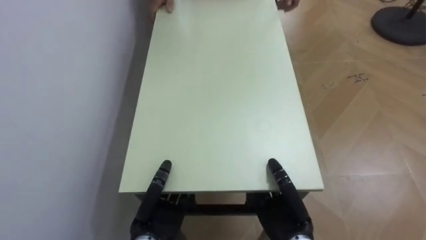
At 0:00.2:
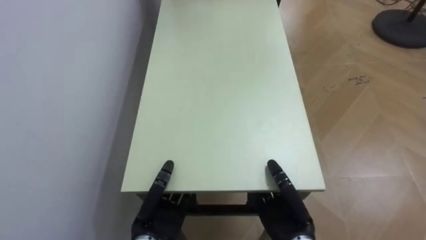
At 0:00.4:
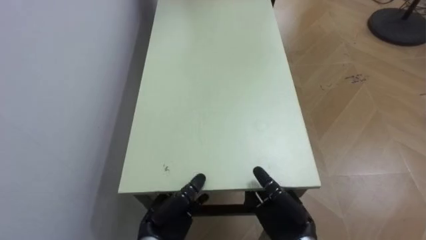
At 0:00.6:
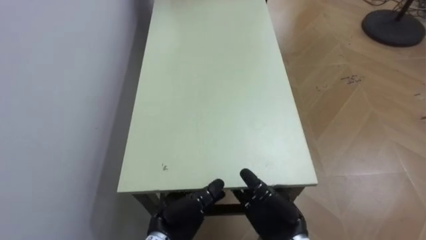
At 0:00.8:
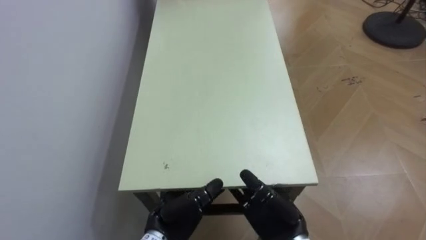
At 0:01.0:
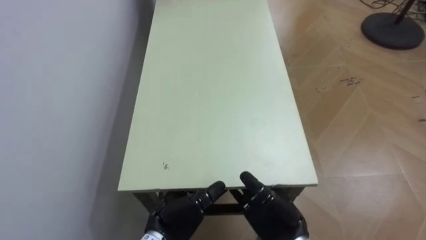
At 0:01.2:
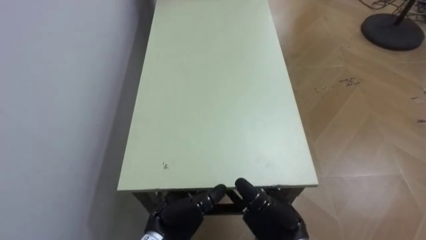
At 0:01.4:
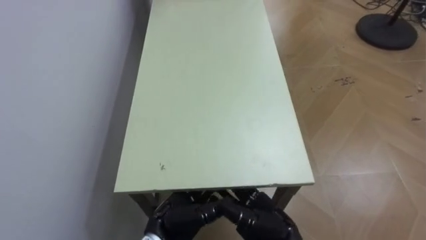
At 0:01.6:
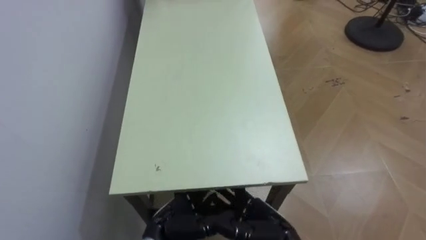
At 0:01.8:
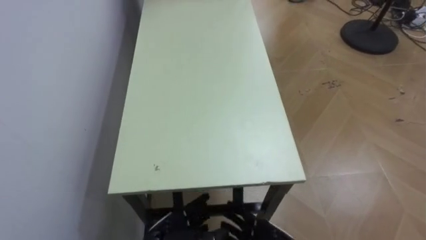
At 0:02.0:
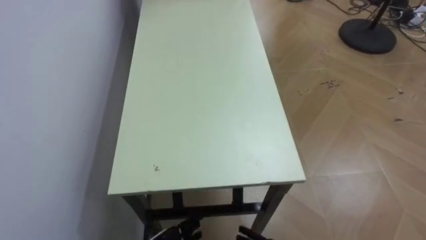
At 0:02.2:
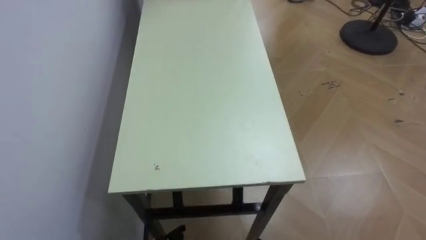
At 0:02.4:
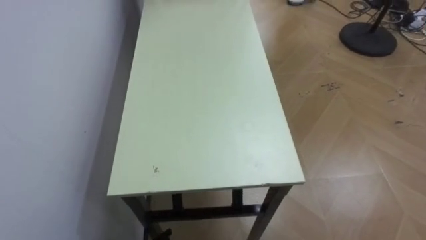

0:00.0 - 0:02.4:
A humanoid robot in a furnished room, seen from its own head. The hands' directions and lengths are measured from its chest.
Task of the whole recording: Move the table to the back left with someone.
0:00.0 - 0:01.2: The left hand opens up. Meanwhile the right hand opens up.

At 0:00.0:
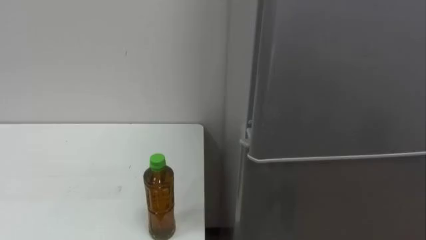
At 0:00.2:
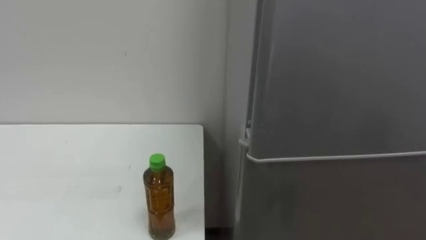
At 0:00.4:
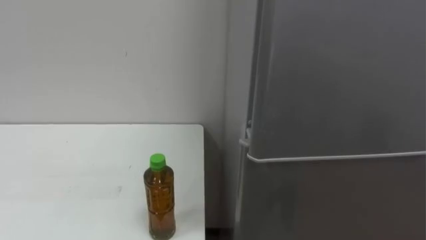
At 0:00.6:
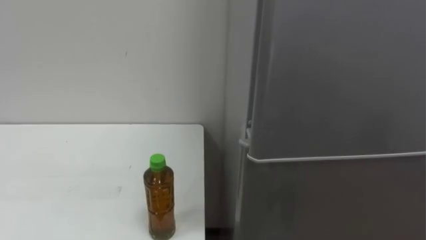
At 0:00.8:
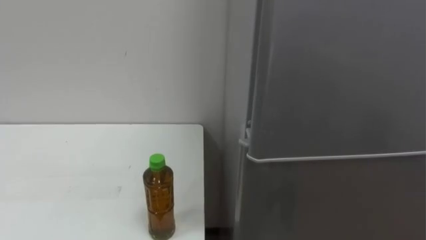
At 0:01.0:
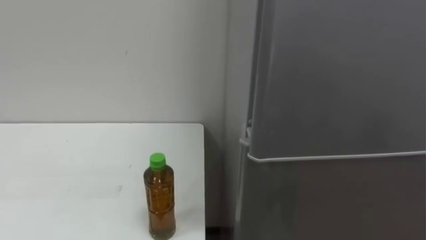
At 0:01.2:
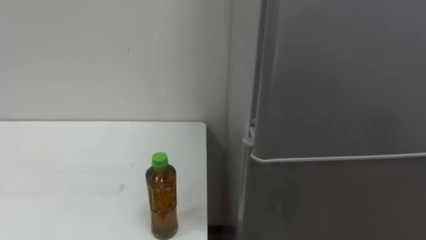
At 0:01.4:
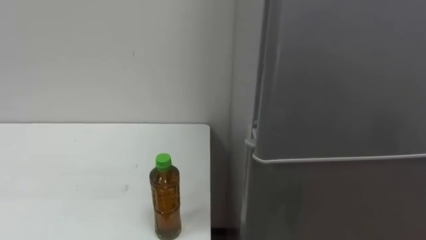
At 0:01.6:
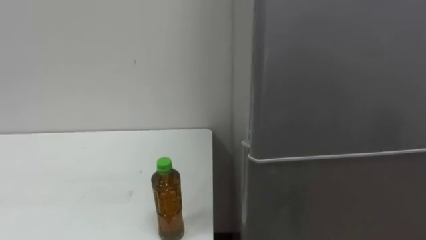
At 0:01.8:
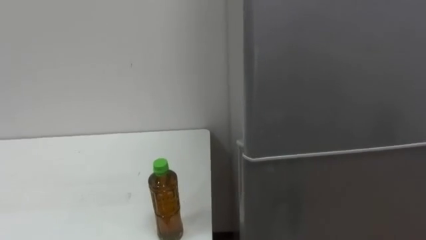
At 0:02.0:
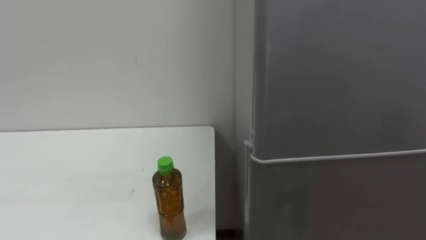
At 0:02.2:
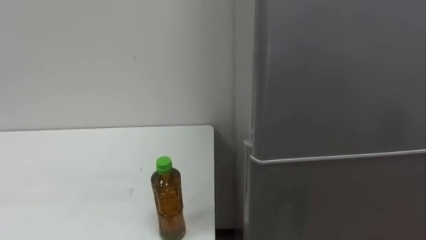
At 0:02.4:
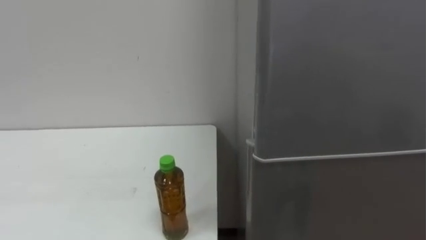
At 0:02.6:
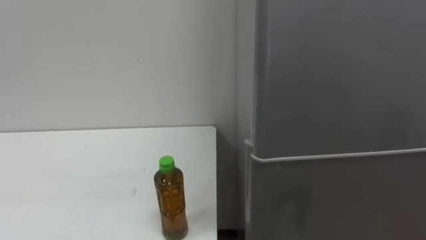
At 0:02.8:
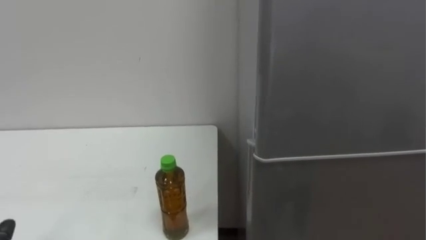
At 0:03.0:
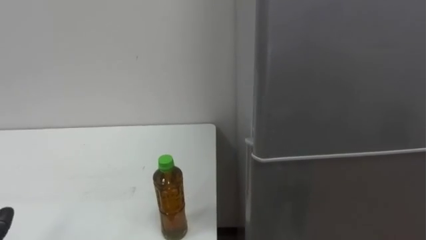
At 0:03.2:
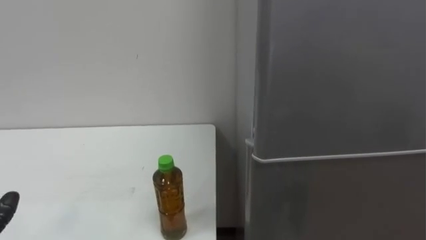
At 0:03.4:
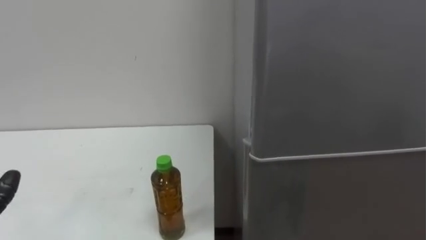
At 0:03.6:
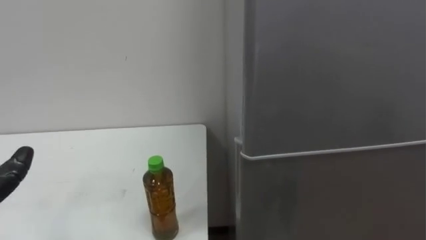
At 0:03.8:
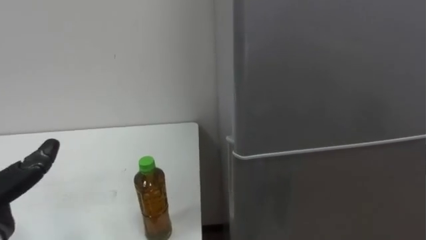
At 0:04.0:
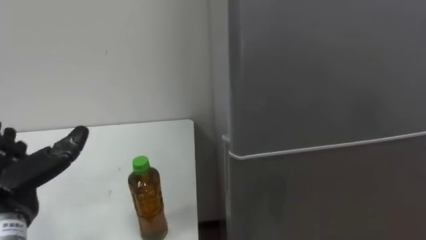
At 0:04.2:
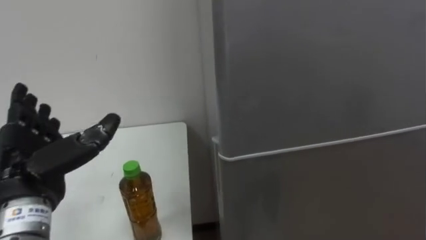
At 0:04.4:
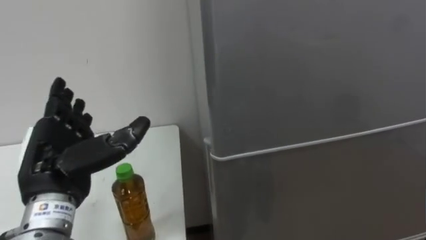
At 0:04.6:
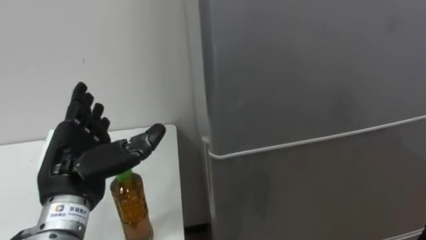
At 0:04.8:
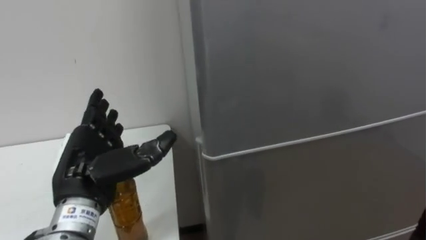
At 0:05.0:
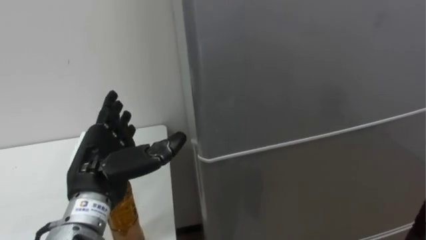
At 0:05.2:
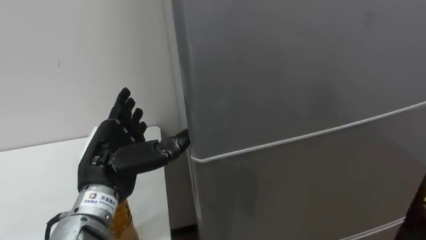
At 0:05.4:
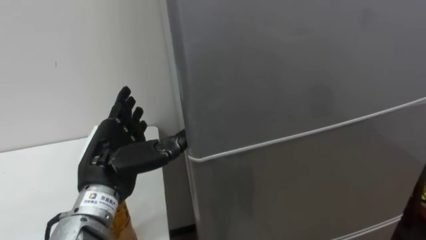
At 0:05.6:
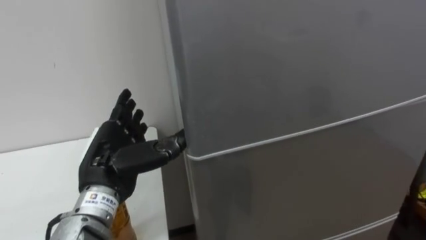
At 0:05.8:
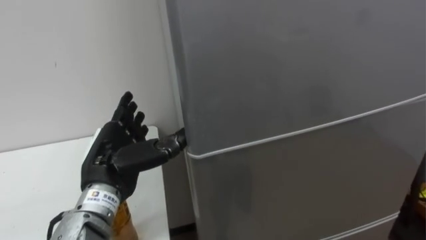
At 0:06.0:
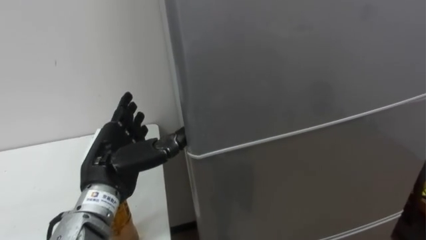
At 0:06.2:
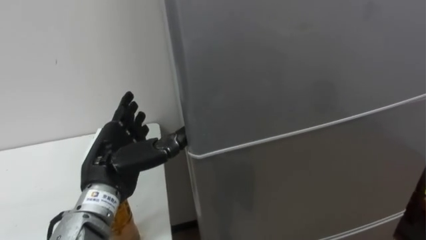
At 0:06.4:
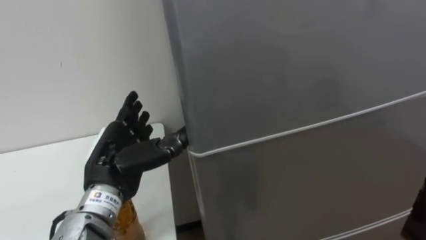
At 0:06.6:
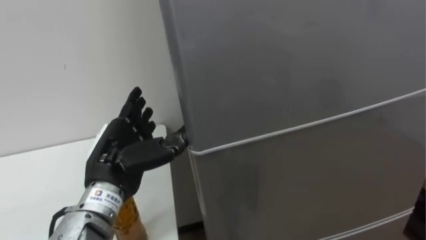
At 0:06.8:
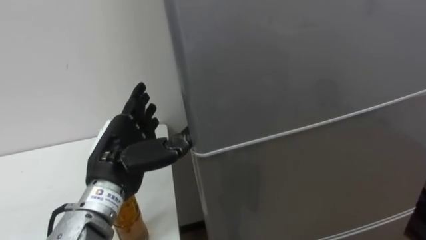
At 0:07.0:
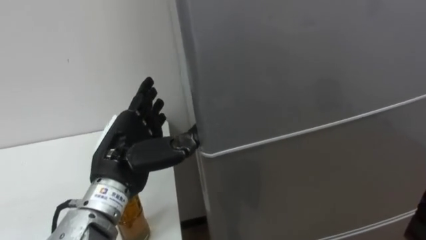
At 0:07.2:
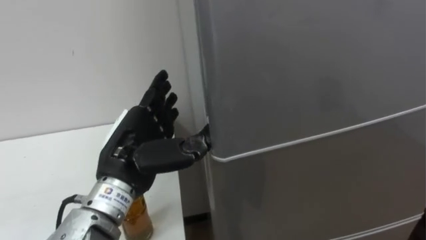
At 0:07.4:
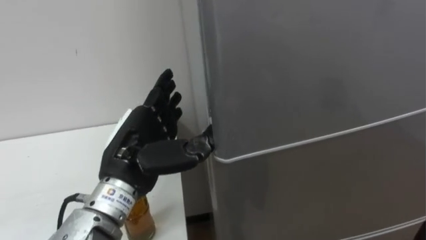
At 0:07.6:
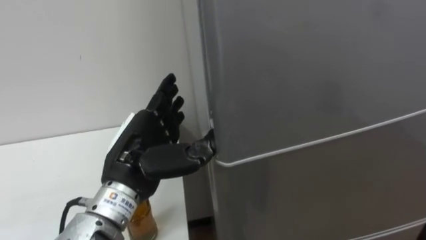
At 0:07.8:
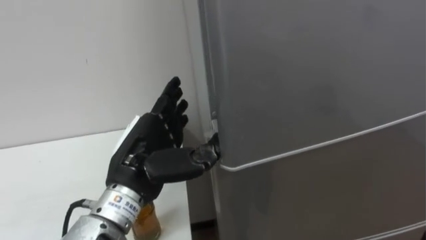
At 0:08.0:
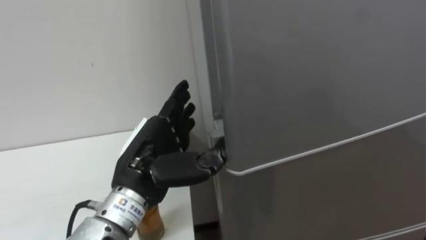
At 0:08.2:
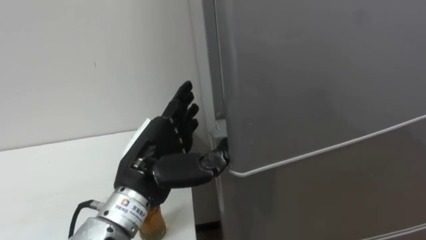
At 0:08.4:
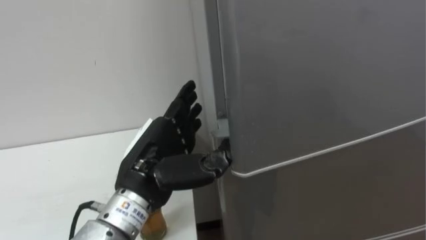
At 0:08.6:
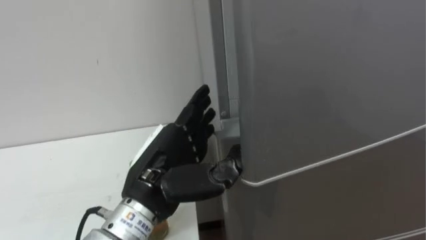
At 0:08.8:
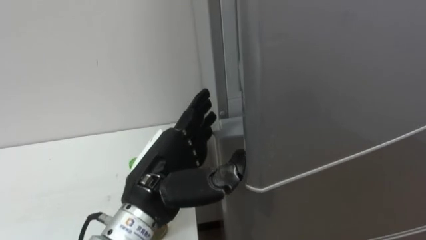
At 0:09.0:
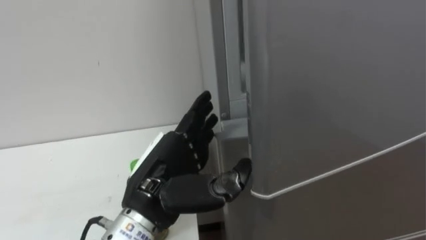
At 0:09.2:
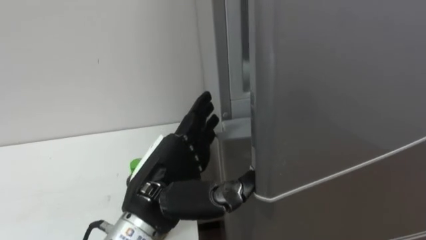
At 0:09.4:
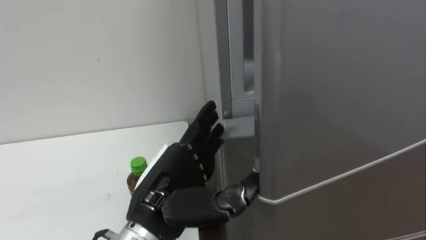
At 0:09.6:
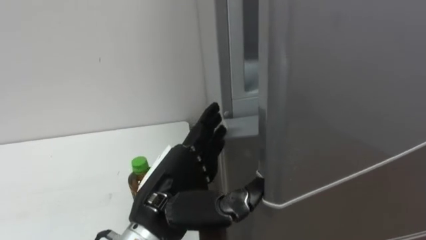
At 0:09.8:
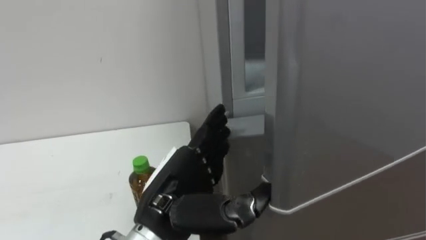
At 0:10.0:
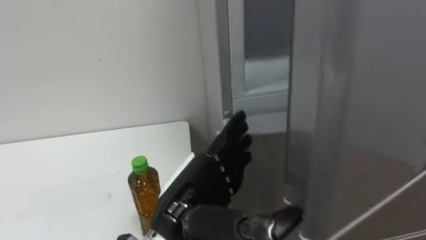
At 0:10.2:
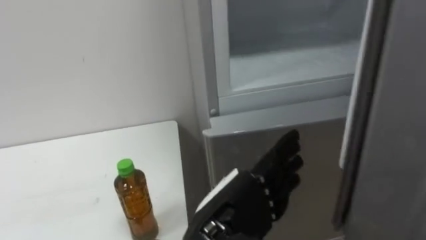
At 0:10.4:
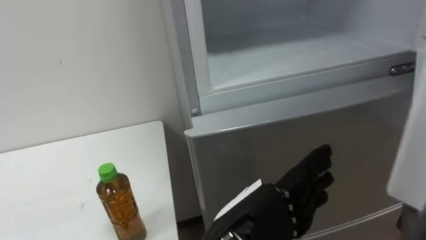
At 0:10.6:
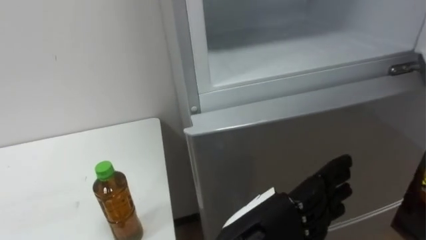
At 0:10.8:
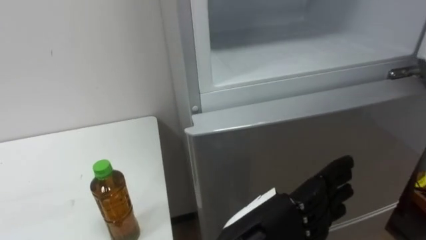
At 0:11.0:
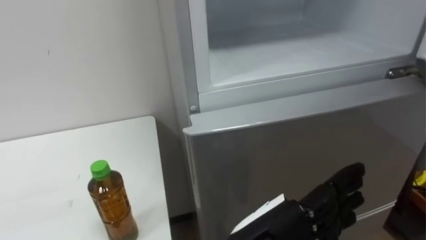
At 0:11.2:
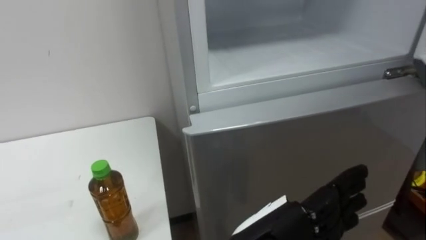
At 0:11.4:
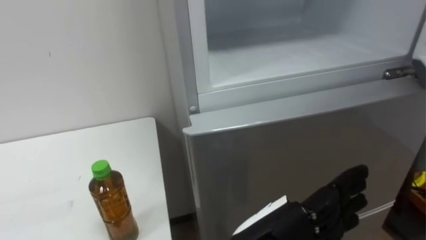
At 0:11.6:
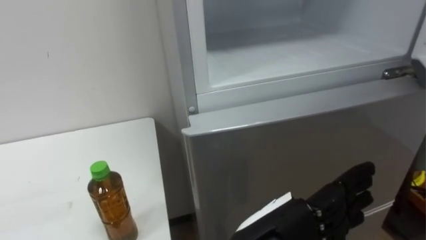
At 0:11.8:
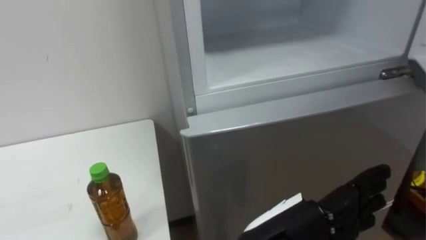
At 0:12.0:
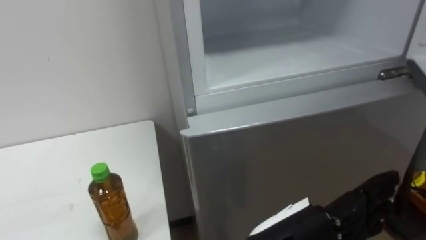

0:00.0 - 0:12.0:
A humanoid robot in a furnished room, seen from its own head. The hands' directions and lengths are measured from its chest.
Task of the whole recording: Open the upper refrigerator door, put the drink from the table into the refrigerator, and then close the refrigerator door.
0:04.4 - 0:06.0: The left hand moves to the right, roughly 5 cm.
0:06.0 - 0:07.6: The left hand ends up about 5 cm from where it was.
0:09.0 - 0:10.4: The left hand moves to the right and backward, roughly 10 cm.

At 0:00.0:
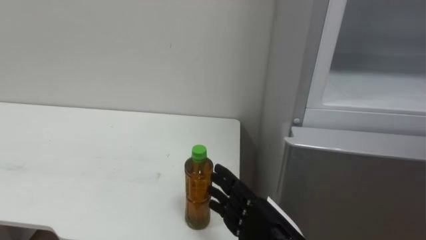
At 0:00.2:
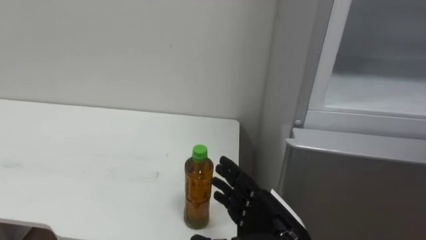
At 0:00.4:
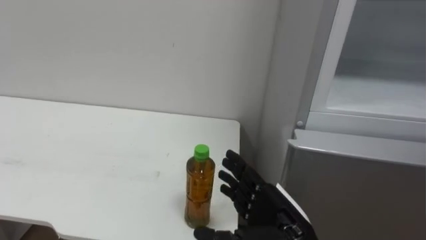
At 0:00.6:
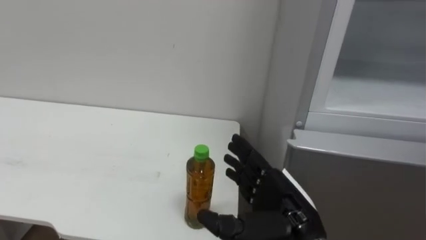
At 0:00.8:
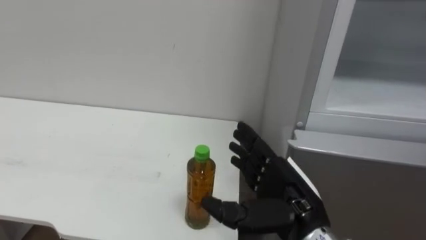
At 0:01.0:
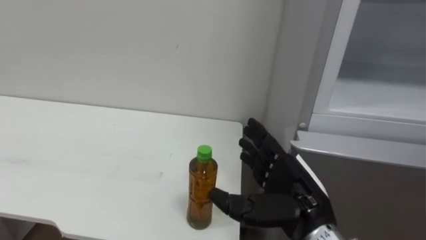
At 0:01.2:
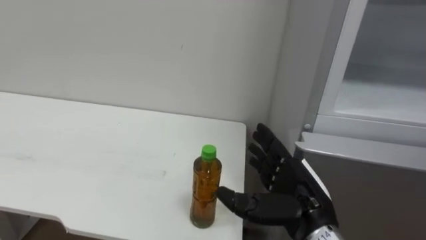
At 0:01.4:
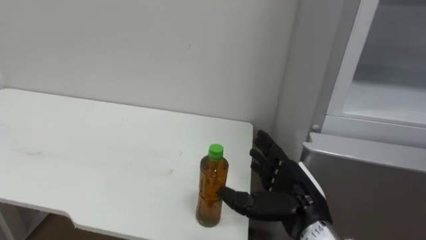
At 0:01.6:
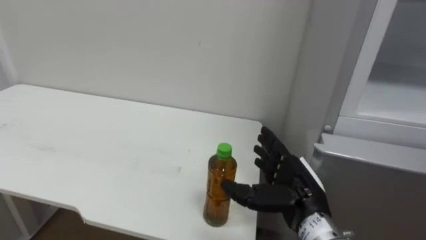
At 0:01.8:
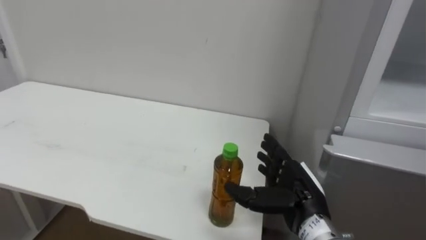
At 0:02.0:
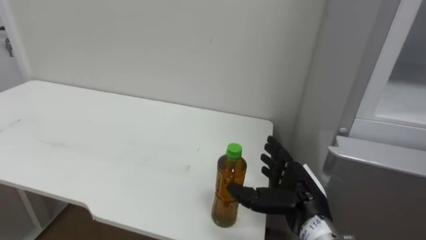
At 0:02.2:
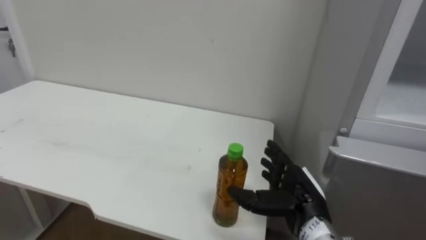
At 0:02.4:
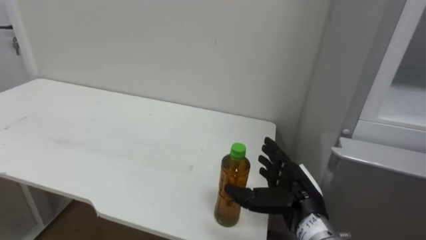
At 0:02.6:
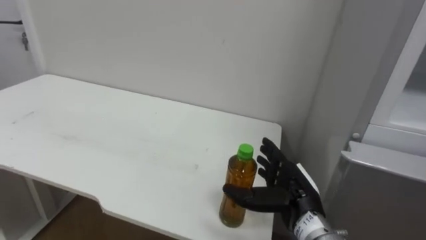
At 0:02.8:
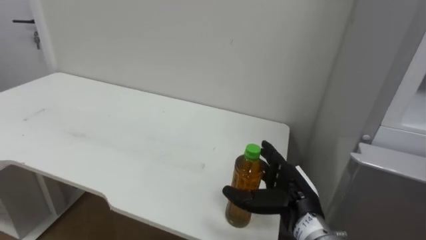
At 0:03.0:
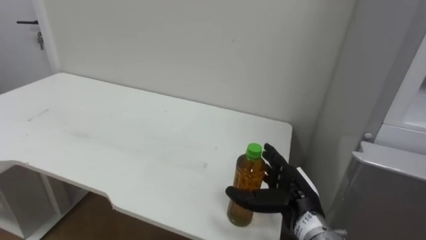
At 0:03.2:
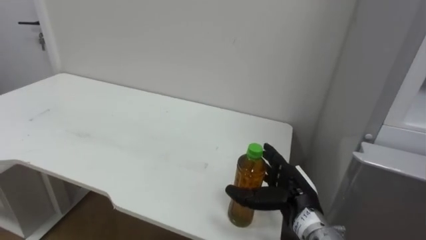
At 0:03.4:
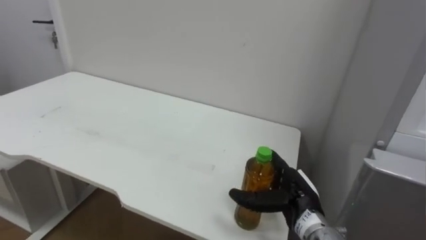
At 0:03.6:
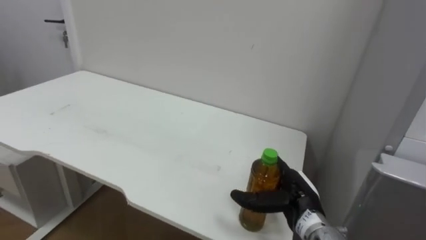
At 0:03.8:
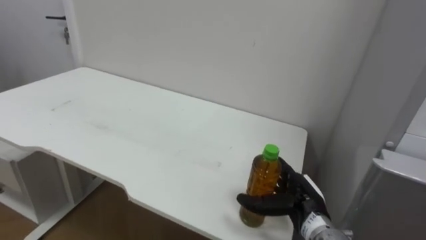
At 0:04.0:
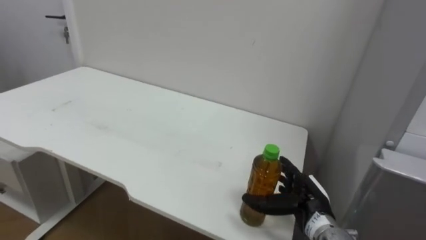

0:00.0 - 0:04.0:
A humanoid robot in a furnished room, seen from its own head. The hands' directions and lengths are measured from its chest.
Task of the whole recording: Open the upper refrigerator door, put the drink from the table into the refrigerator, and then close the refrigerator door.
0:00.0 - 0:01.4: The right hand is displaced forward by roughly 5 cm.
0:02.6 - 0:04.0: The right hand shifts by approximately 5 cm.
